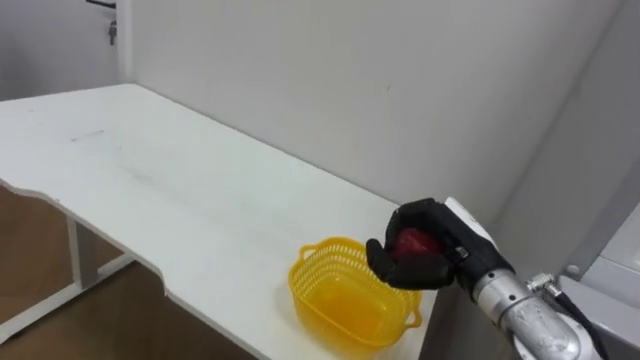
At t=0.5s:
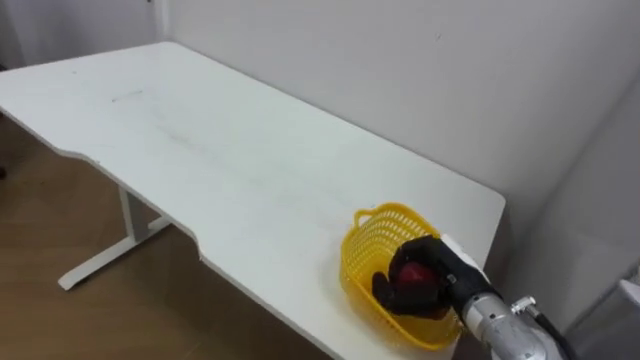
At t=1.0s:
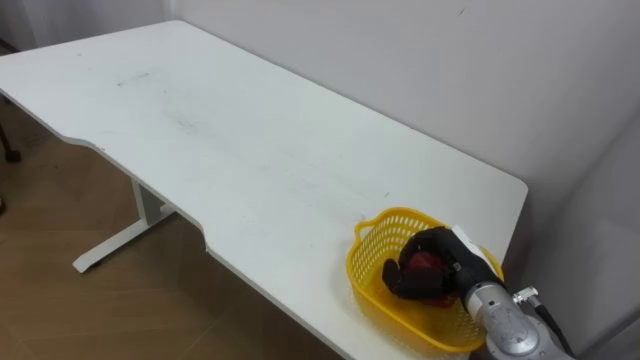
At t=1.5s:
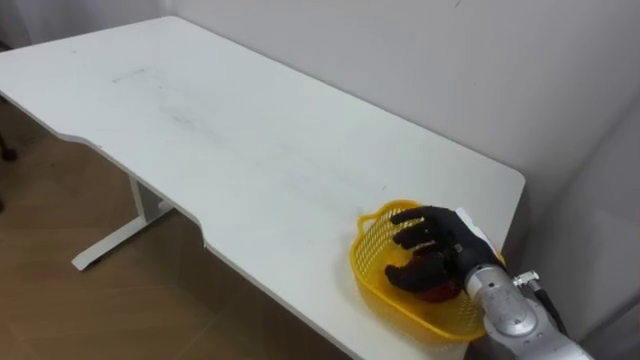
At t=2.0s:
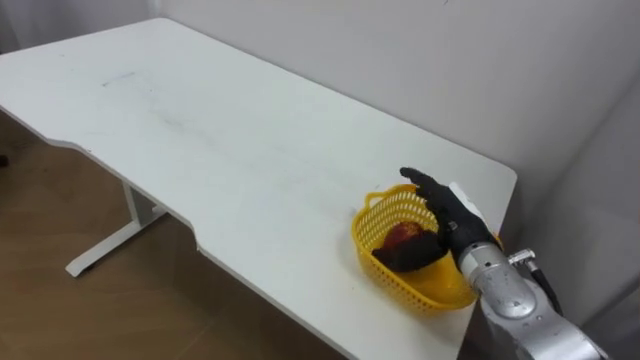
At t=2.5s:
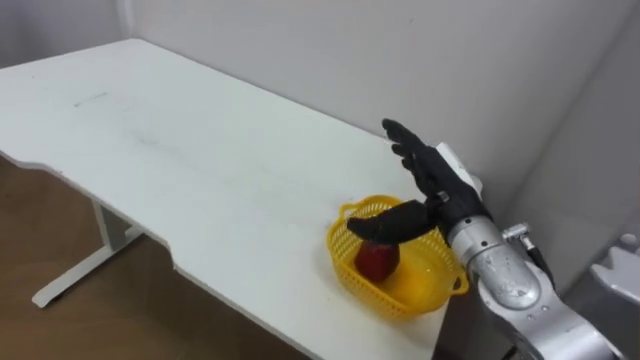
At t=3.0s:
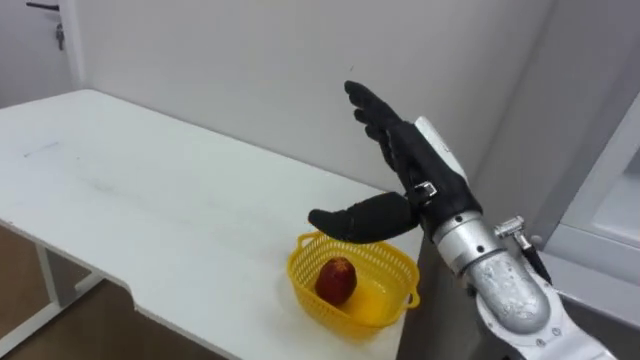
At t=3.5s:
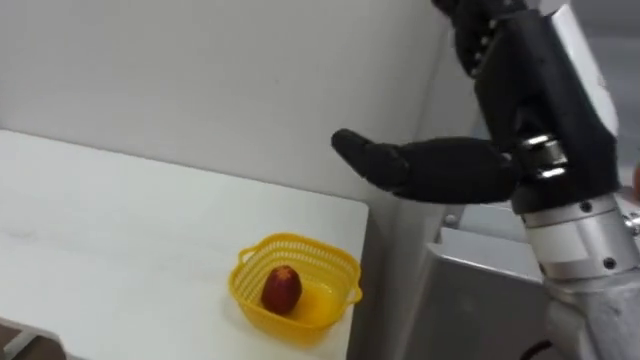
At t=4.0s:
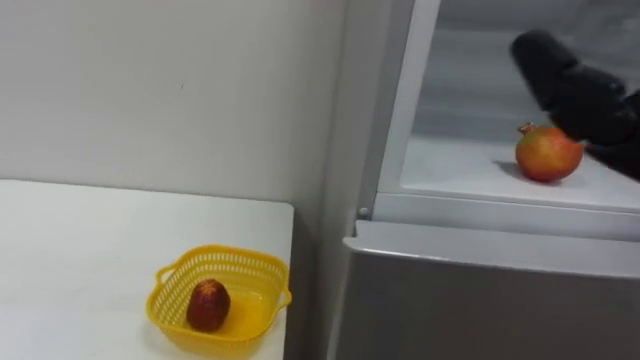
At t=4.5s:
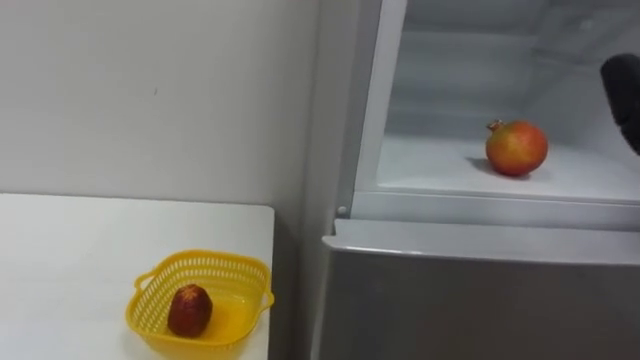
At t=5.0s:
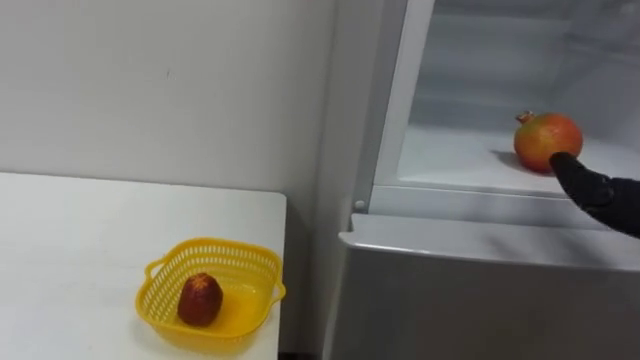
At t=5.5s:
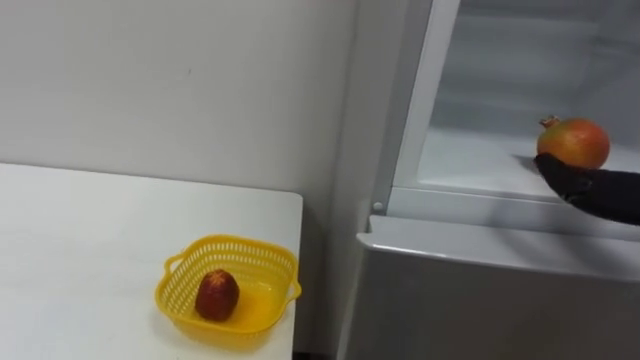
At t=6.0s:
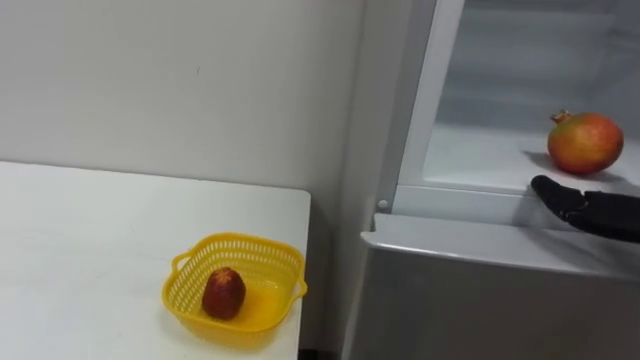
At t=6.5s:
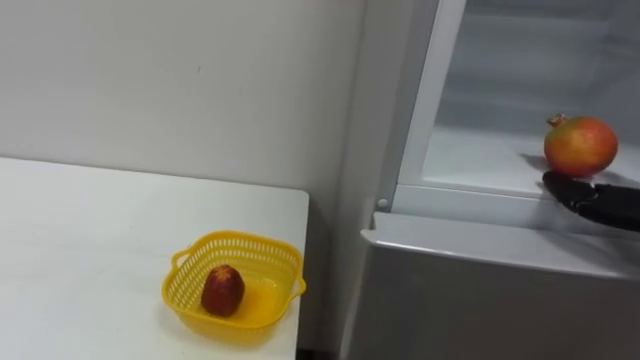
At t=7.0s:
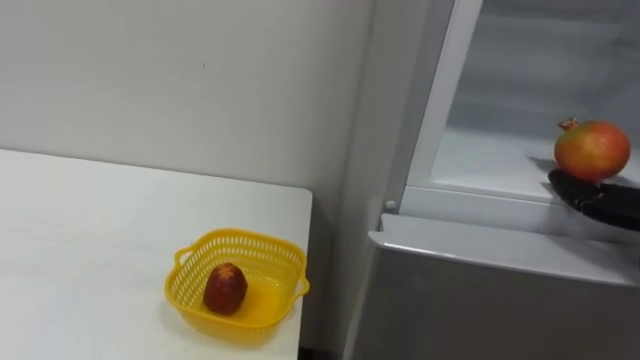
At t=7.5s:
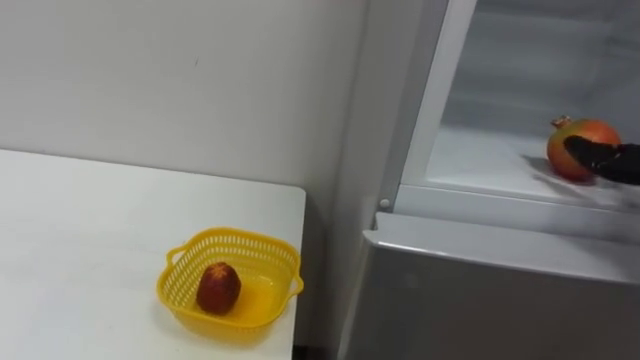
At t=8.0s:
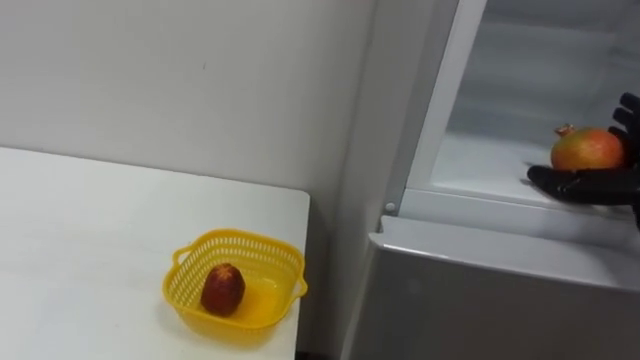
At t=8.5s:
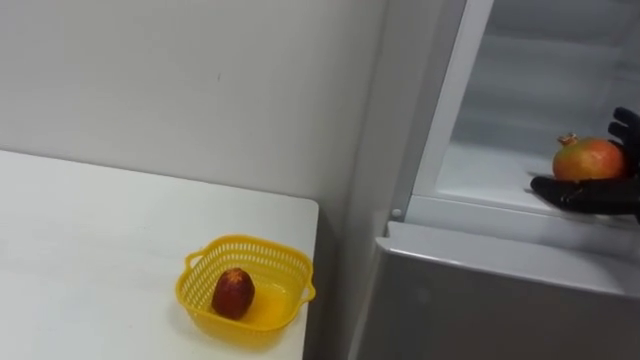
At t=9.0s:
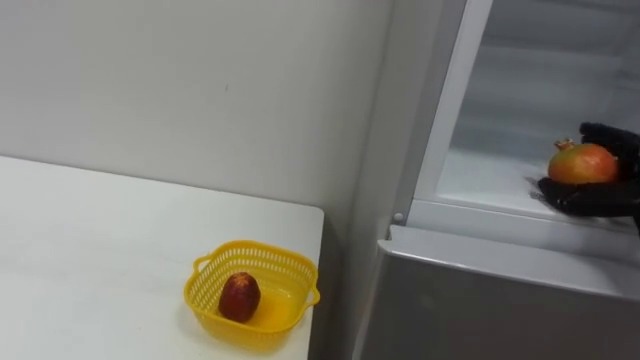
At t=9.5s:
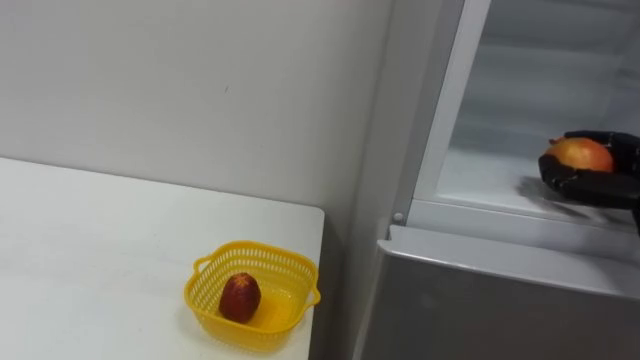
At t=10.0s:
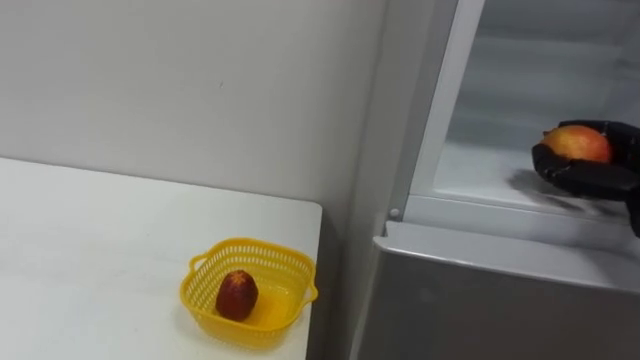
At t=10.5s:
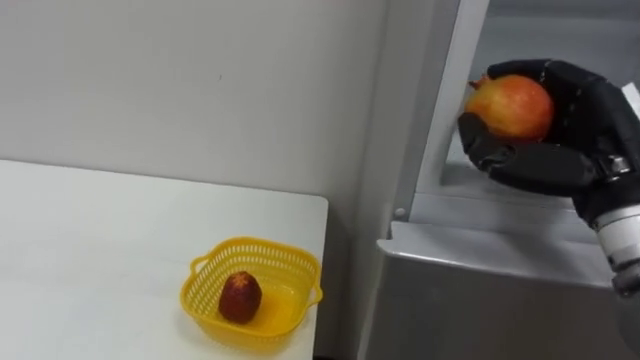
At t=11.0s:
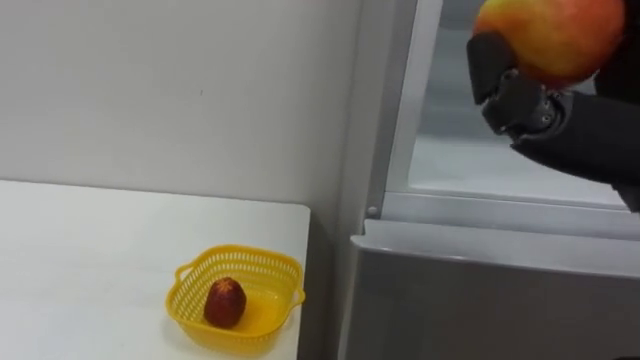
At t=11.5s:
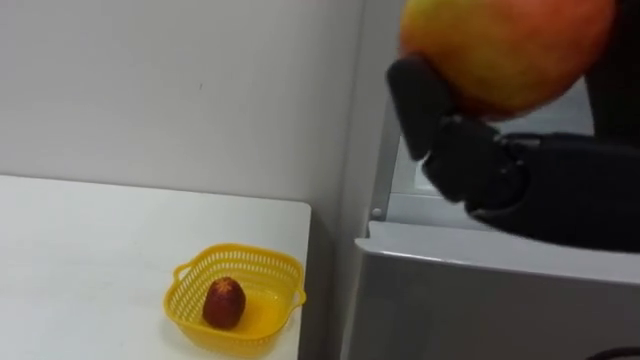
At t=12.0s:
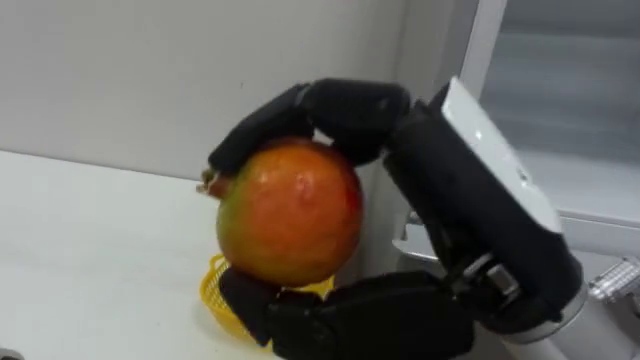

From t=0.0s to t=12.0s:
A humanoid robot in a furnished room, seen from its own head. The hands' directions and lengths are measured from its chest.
Task of the whole recording: Open the refrigerator door, take out the apple and the pomegranate, place them in the fruit basket on the left, and close the refrigerator door.
From t=0.0s to t=2.0s: The right hand opens.

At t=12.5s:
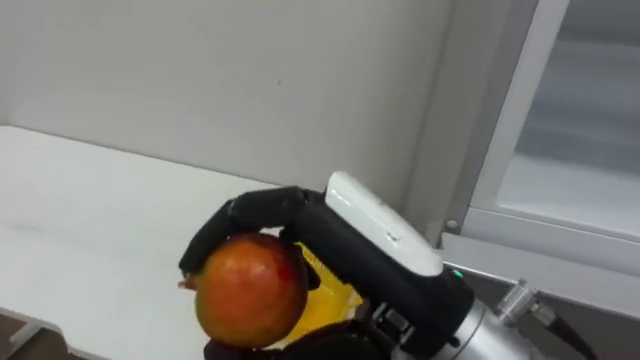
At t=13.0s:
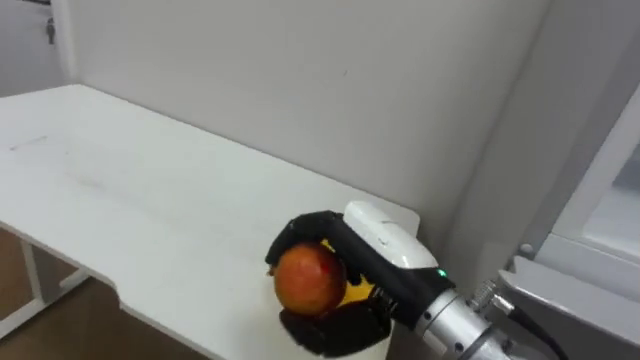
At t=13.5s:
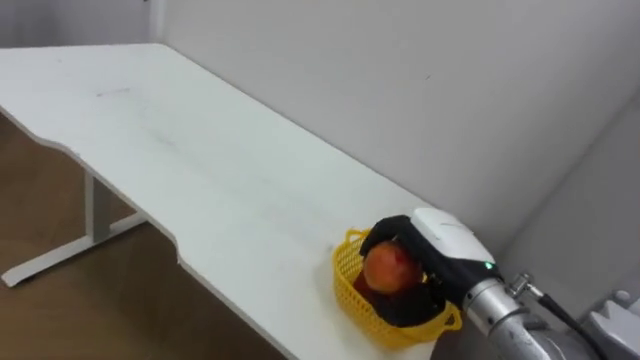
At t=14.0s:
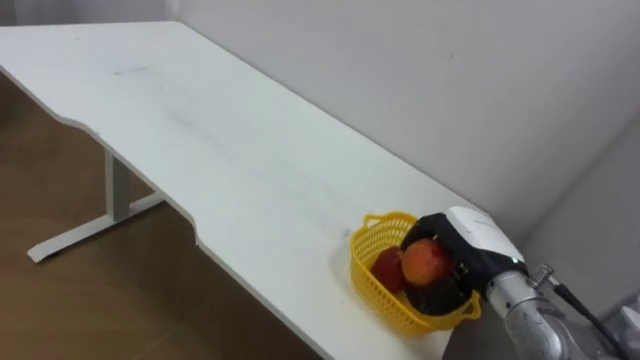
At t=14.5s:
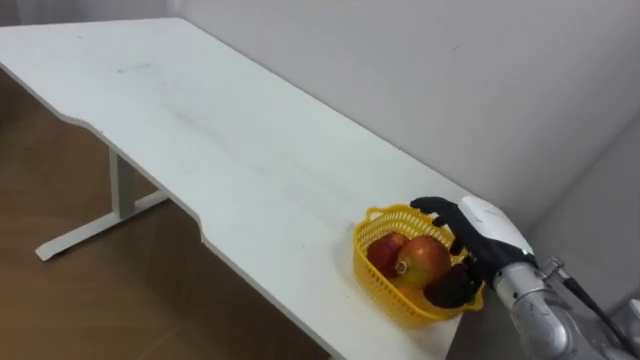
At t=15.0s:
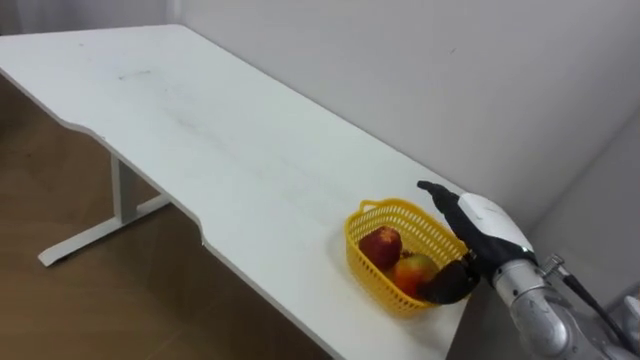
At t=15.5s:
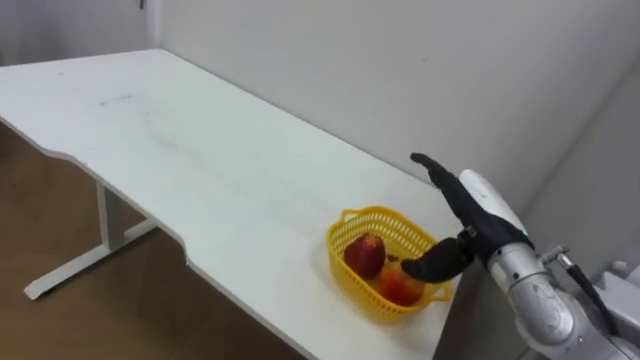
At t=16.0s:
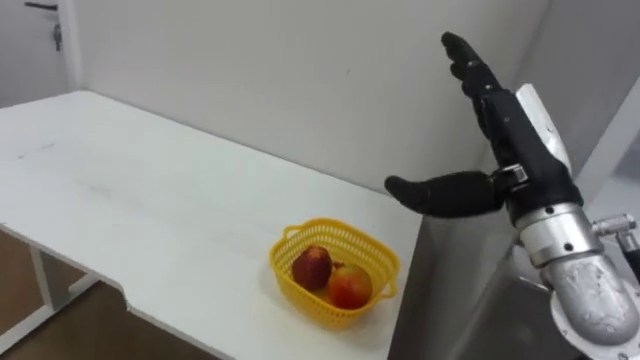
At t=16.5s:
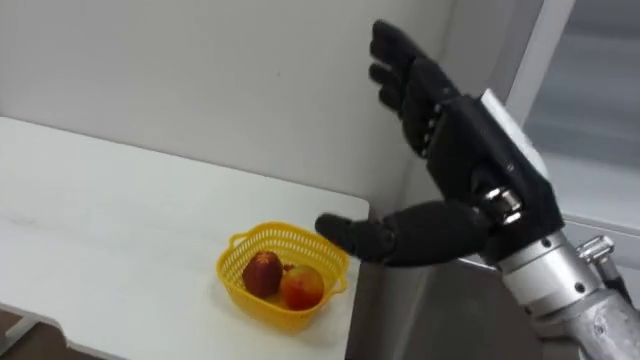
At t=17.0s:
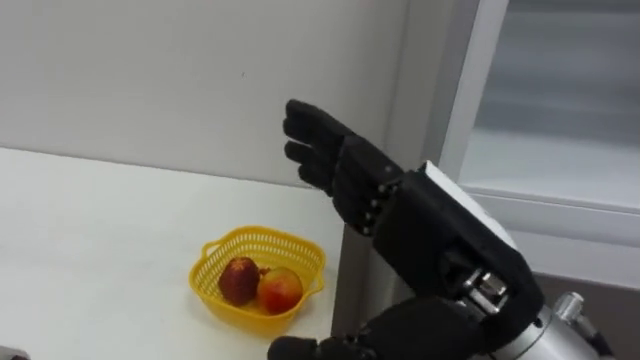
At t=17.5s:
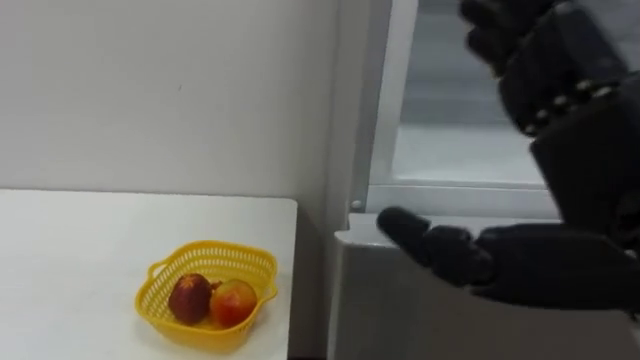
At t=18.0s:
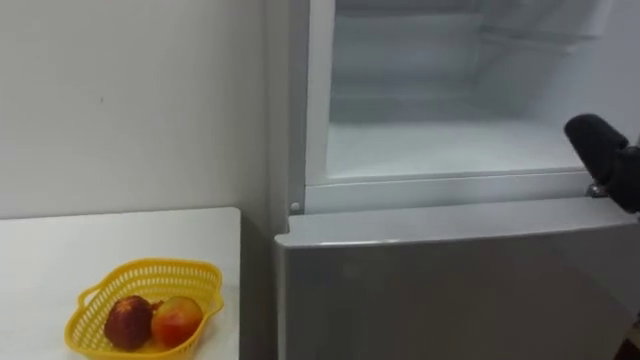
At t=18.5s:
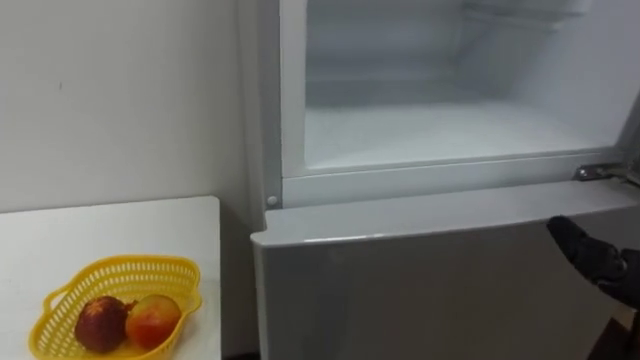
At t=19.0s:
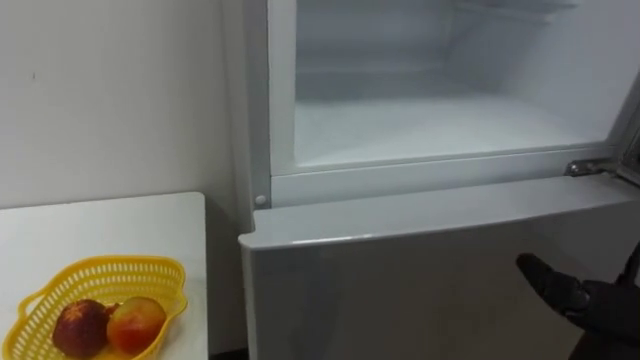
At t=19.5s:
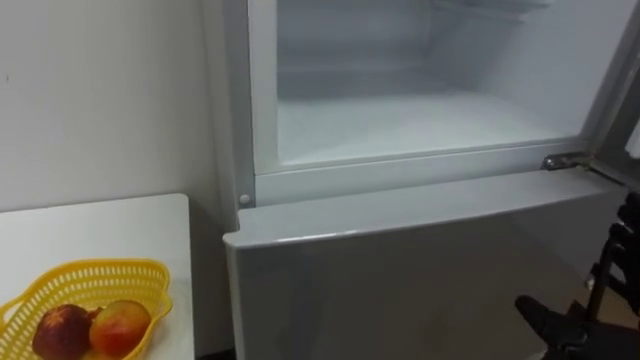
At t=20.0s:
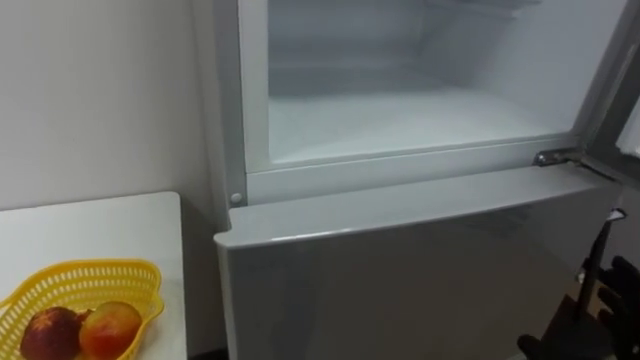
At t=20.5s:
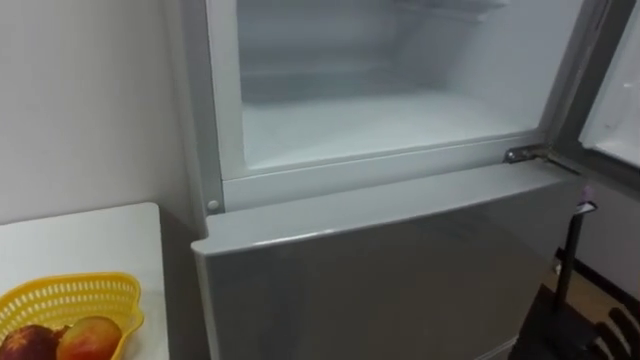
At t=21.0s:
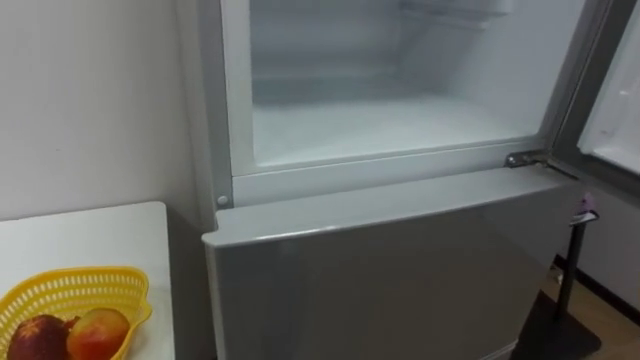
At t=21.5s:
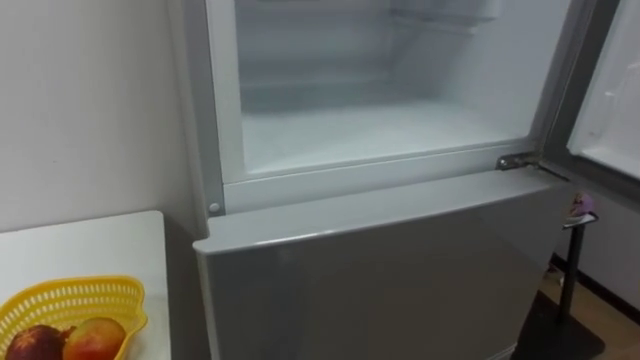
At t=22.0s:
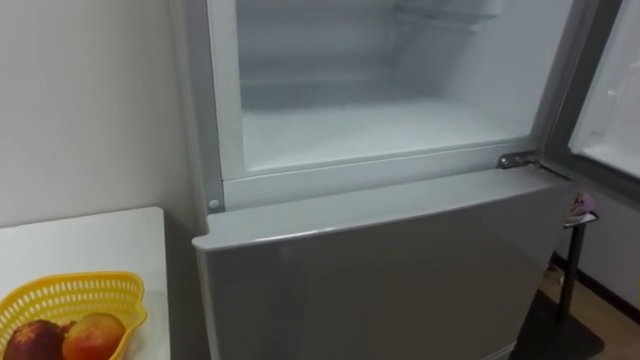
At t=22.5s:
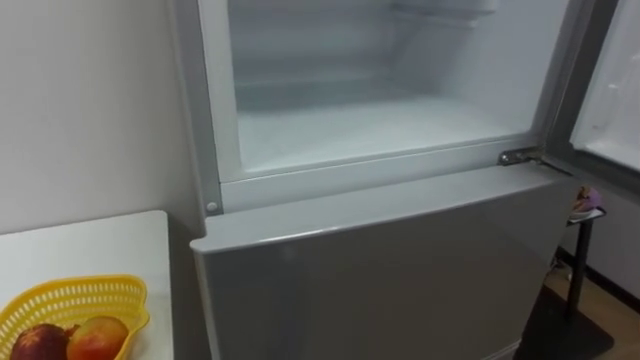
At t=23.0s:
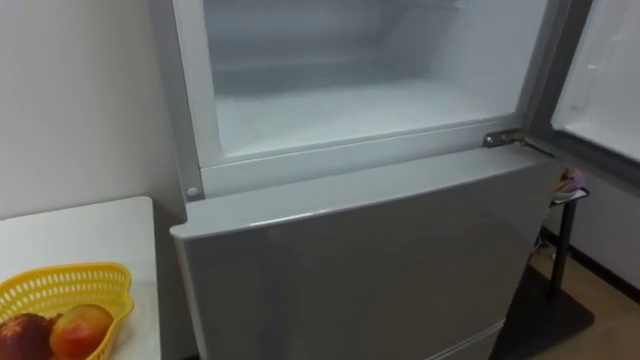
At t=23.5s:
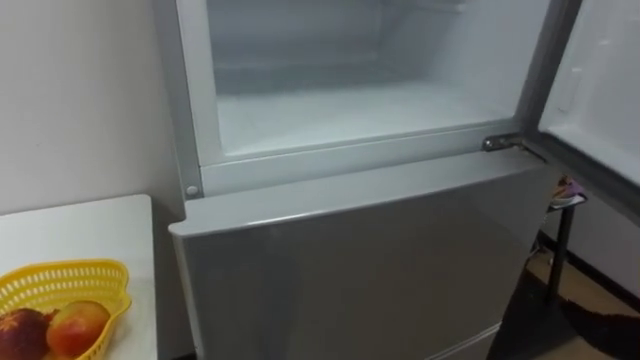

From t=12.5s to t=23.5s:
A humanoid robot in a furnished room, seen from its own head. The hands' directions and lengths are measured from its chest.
Task of the whole recording: Open the refrigerator door, take out the apple and the pomegranate, place them in the fruit basket on the left, and close the refrigerator door.
From t=12.5s to t=14.5s: The right hand is displaced forward, downward and to the right by some 30 cm, and opens.
From t=14.5s to t=16.0s: The right hand is displaced upward by approximately 15 cm.
